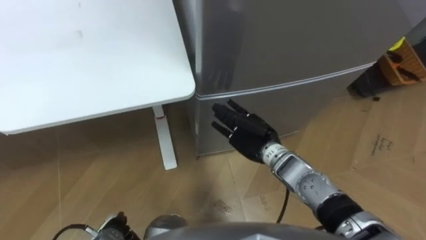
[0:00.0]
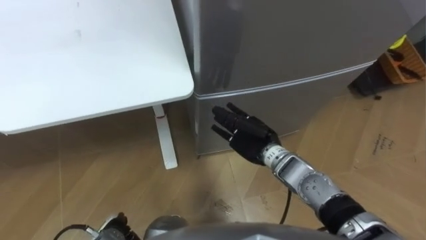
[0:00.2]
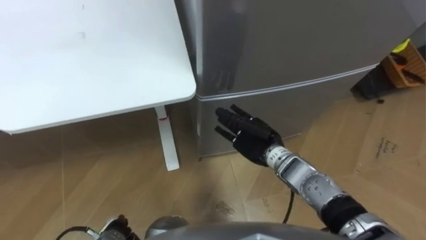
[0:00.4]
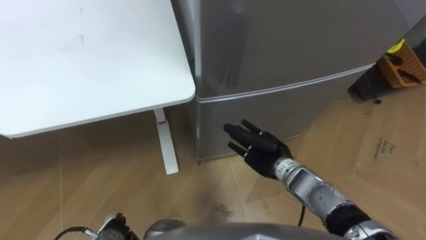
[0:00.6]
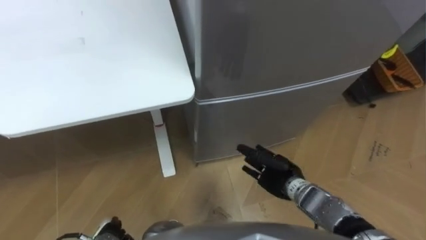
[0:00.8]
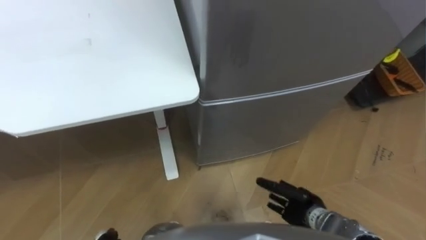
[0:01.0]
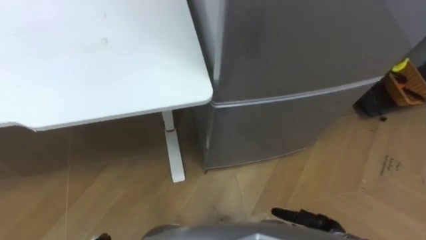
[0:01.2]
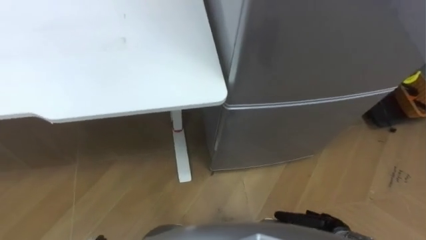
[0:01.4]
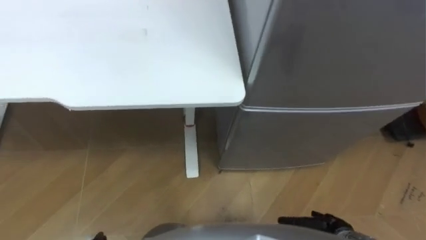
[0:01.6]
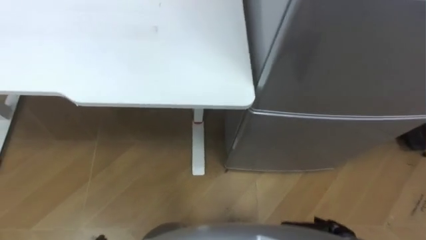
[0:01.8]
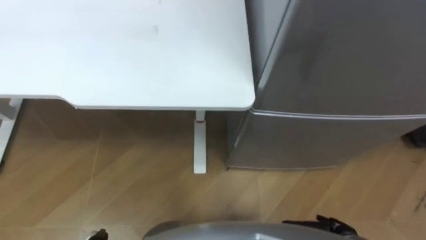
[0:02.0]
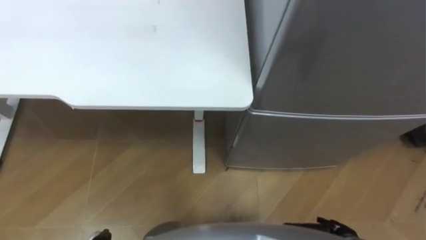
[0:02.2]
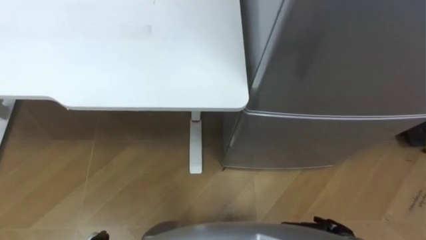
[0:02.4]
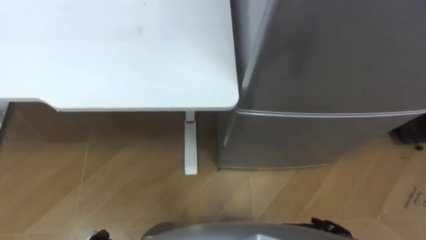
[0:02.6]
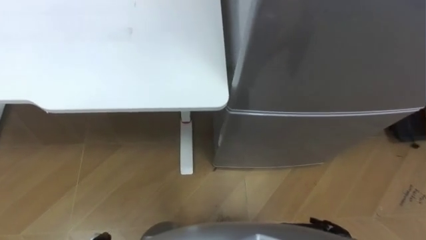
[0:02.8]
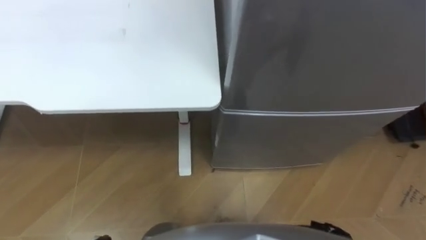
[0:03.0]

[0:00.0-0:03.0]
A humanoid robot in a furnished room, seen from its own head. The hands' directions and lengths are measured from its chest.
Task of the whole recording: Place the drink on the table on the bottom shelf of the refrigerator, then close the drawer and the refrigerator door.
0:00.0 to 0:01.6: The right hand shifts roughly 30 cm backward, to the right and downward.

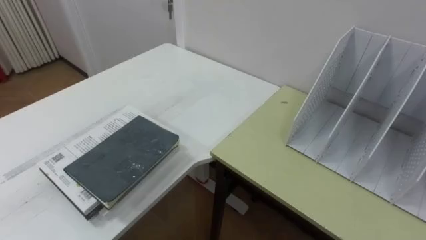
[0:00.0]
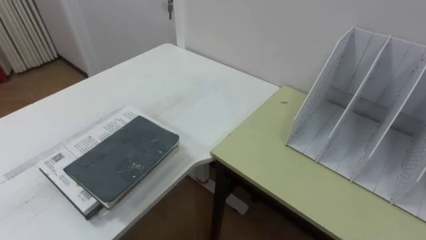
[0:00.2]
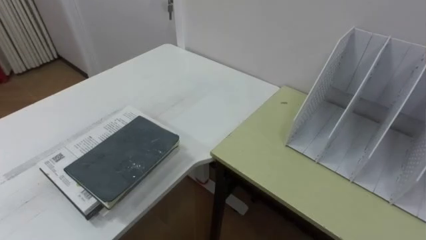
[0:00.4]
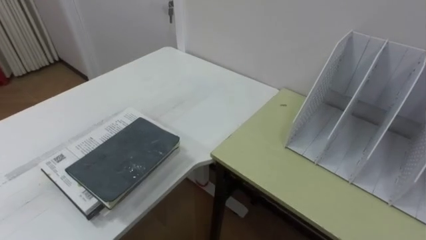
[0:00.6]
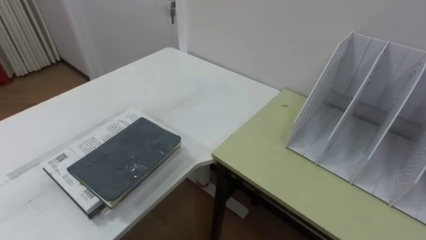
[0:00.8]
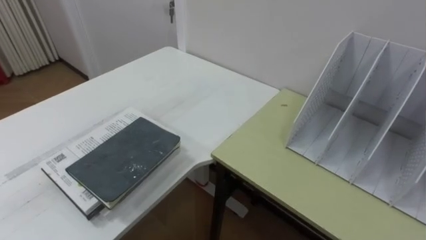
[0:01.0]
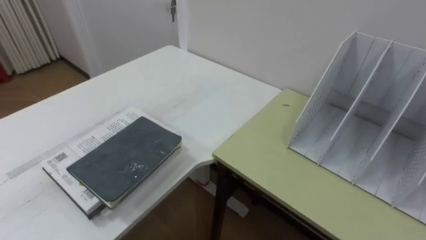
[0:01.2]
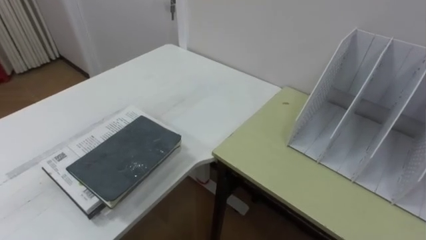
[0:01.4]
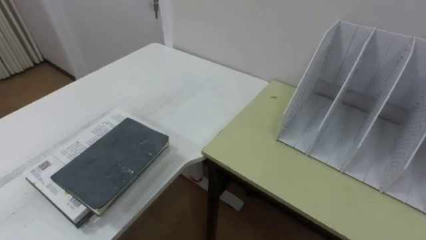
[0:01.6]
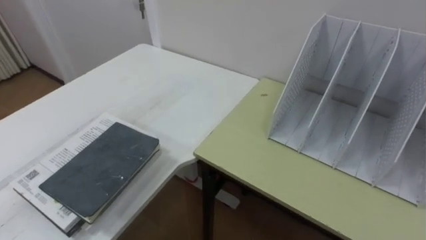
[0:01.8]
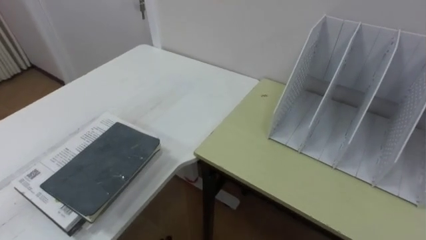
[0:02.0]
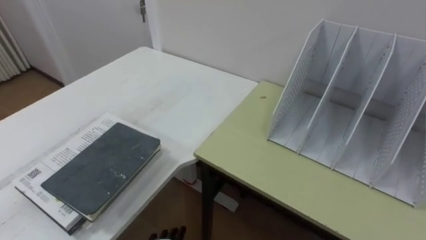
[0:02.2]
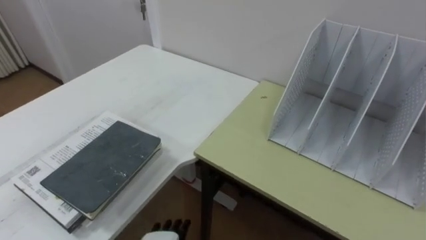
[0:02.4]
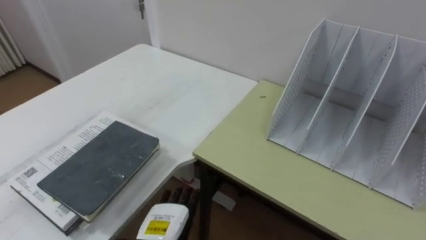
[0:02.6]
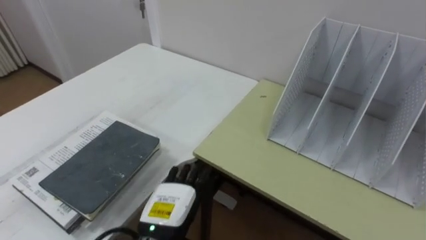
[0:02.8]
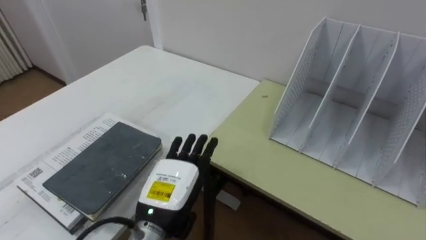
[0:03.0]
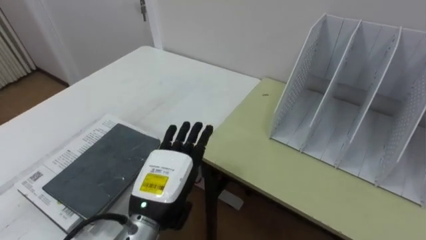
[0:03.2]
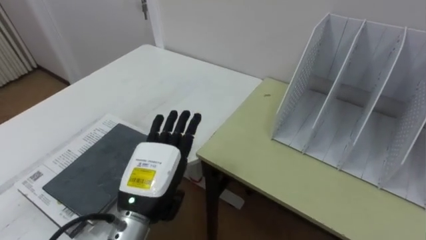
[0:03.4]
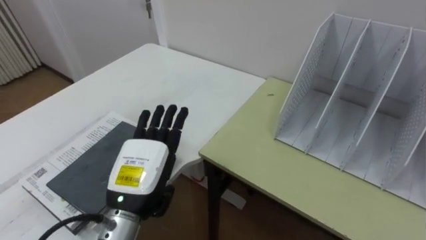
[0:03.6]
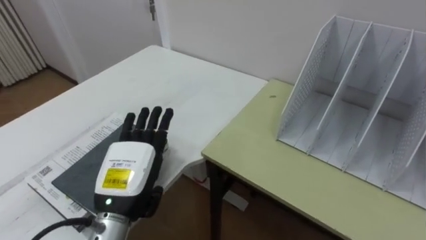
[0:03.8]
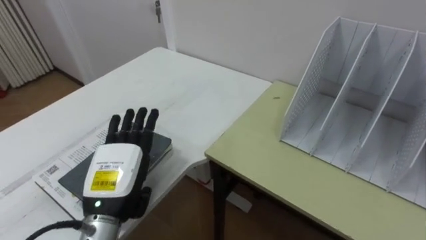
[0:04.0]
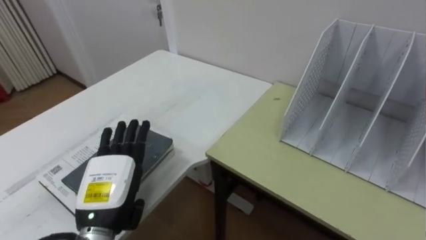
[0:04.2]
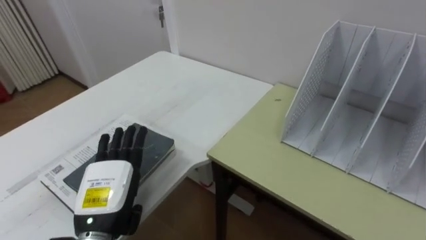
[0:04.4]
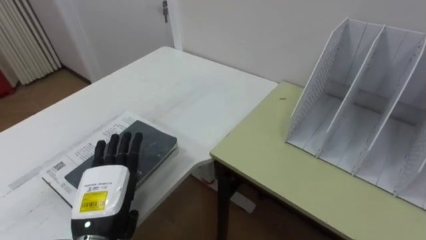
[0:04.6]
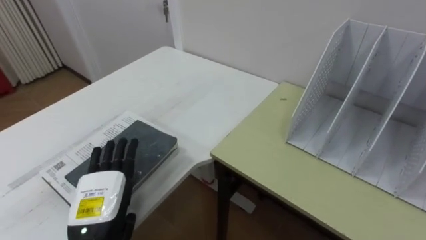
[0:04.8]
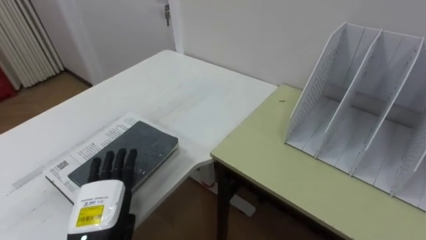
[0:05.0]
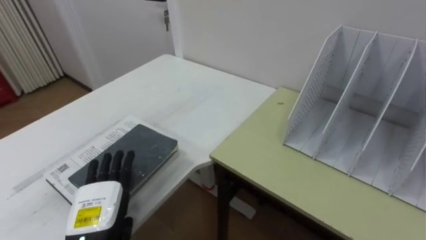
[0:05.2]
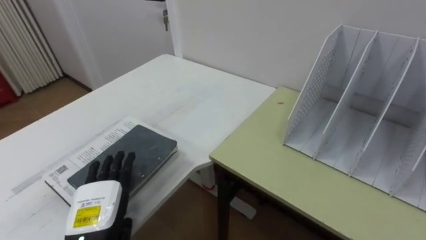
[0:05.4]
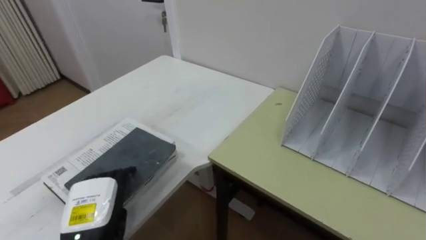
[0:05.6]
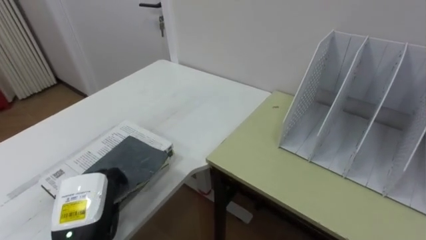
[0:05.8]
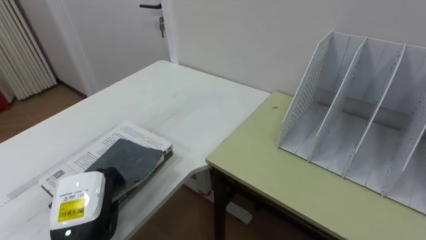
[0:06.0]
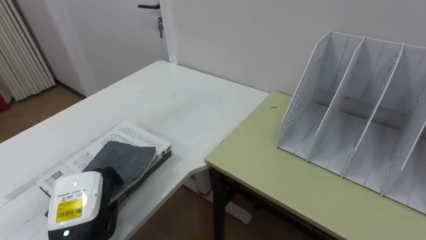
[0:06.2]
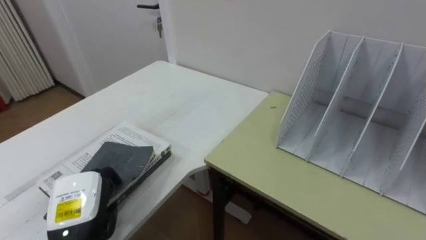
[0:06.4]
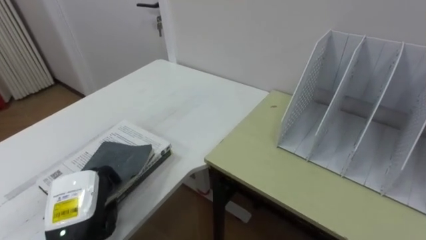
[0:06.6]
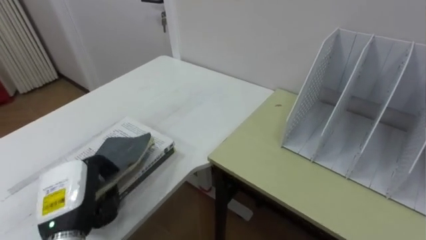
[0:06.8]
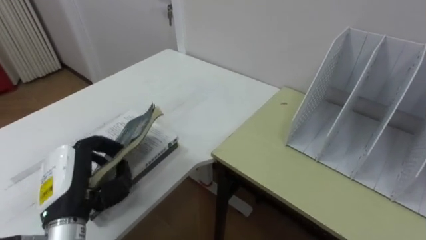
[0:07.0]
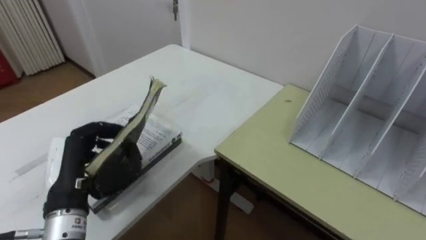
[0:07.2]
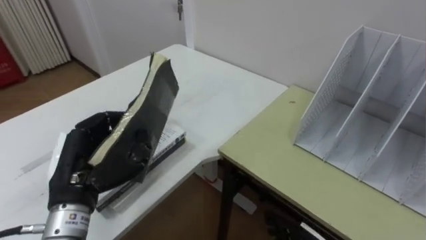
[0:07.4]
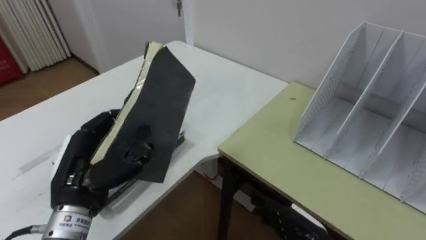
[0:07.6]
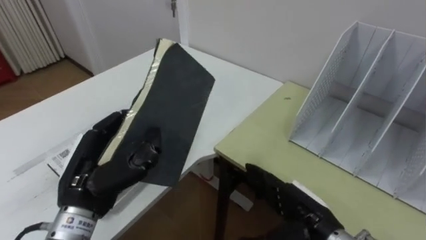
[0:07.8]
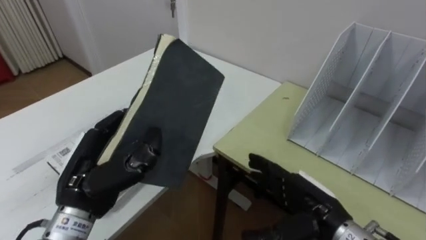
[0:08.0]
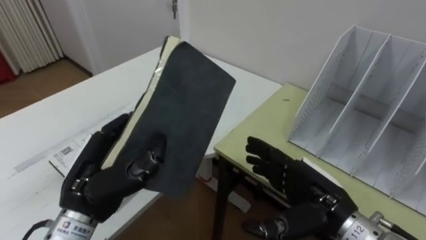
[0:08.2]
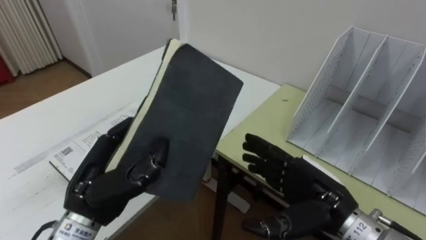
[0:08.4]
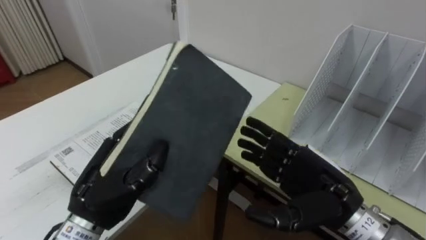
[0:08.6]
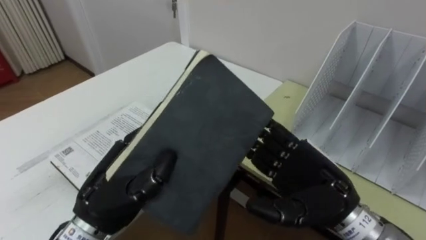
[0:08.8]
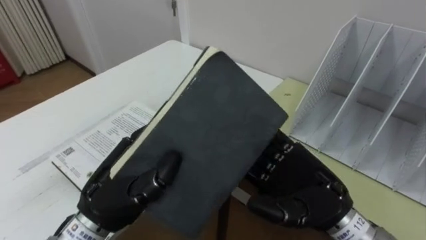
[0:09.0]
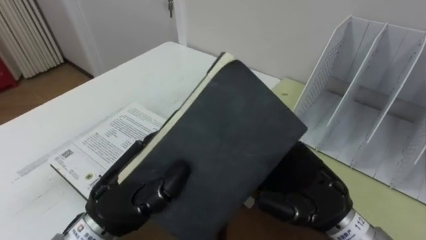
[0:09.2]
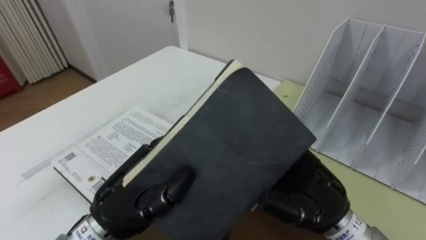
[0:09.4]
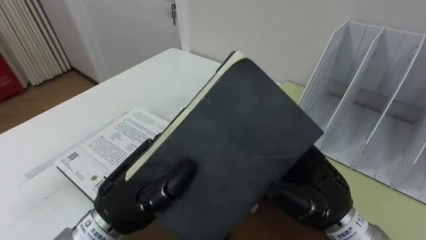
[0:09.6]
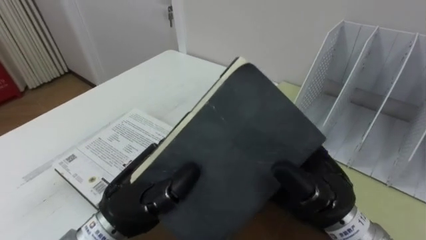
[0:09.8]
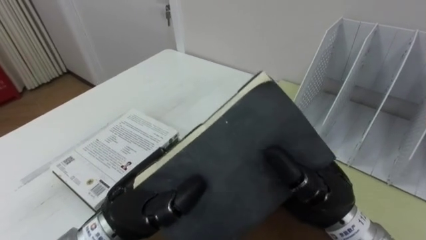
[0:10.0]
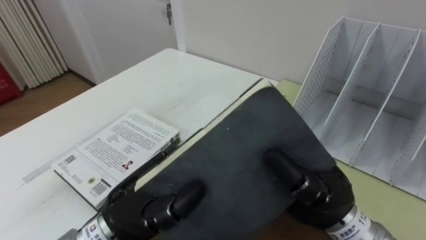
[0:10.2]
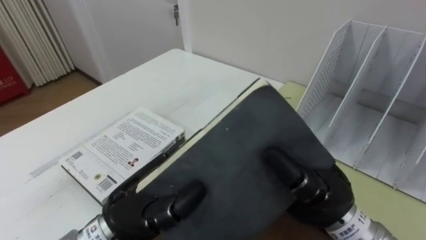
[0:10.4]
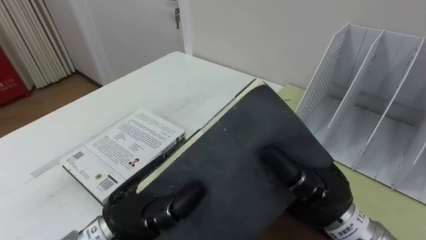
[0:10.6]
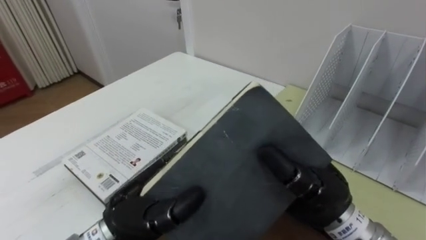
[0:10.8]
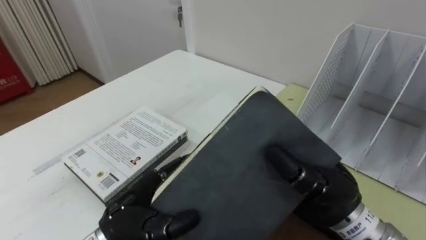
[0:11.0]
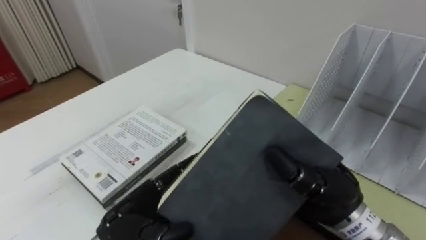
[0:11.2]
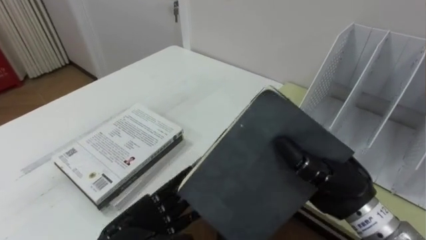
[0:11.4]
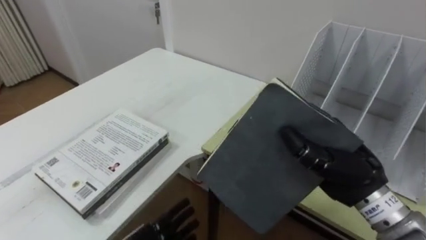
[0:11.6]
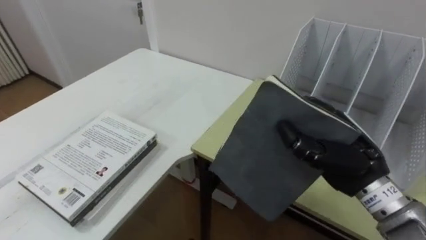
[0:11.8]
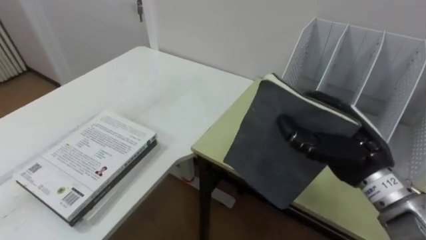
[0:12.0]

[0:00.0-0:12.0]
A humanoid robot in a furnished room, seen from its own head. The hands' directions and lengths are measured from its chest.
Task of the whole recording: Put the books on the table onto the bookshelf.
0:03.0 to 0:04.4: The left hand goes roughly 10 cm to the left.
0:04.4 to 0:06.0: The left hand ends up some 5 cm from where it was, and closes its fingers.
0:06.0 to 0:07.6: The left hand goes approximately 10 cm upward.
0:07.6 to 0:09.0: The left hand goes roughly 5 cm to the right; the right hand shifts about 15 cm upward.
0:09.0 to 0:10.4: The right hand closes up.
0:10.4 to 0:12.0: The right hand goes some 10 cm to the right and forward.

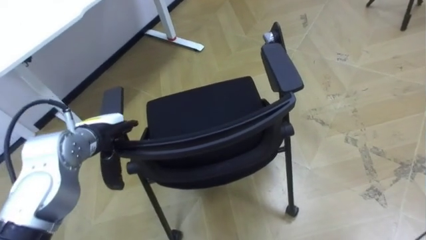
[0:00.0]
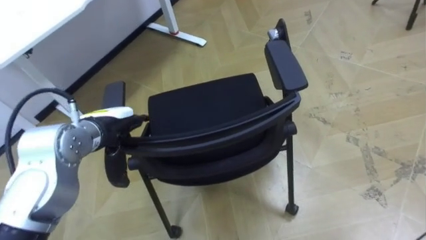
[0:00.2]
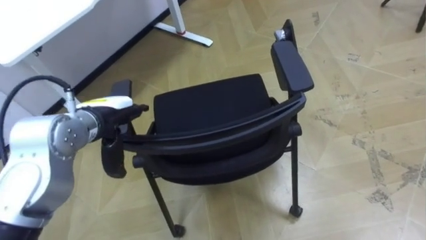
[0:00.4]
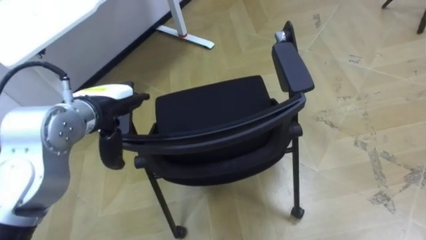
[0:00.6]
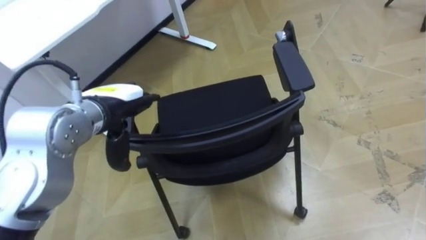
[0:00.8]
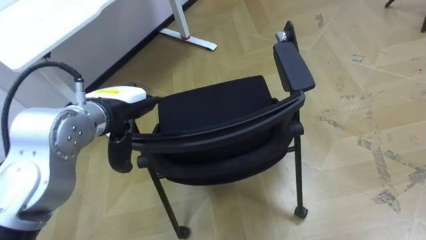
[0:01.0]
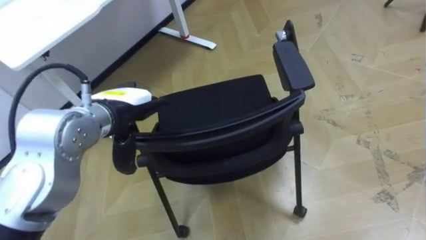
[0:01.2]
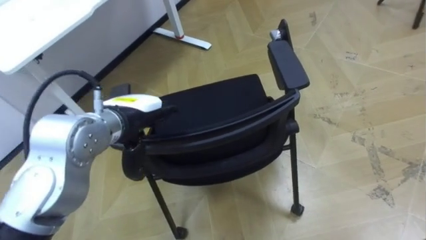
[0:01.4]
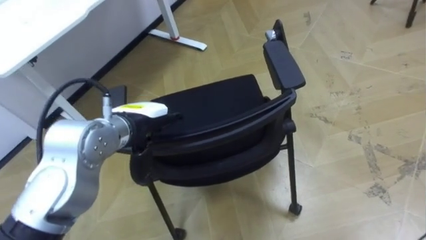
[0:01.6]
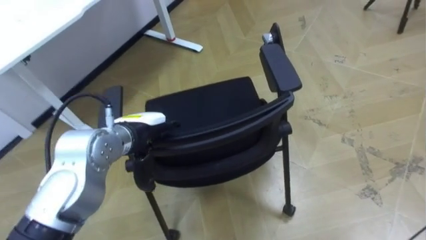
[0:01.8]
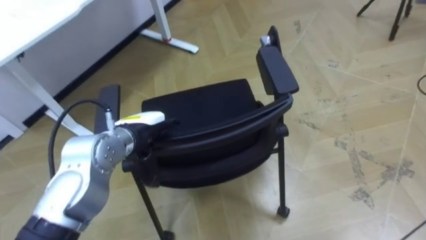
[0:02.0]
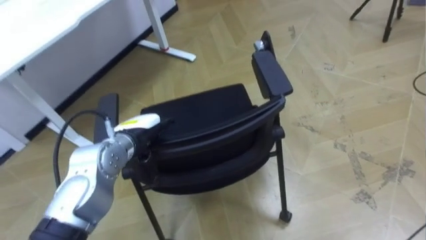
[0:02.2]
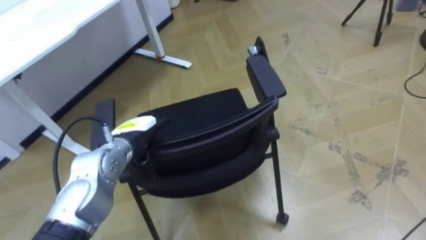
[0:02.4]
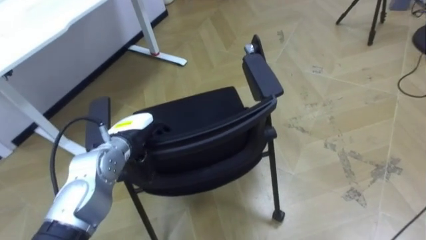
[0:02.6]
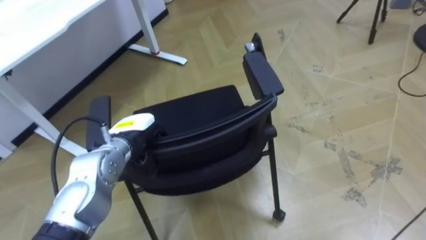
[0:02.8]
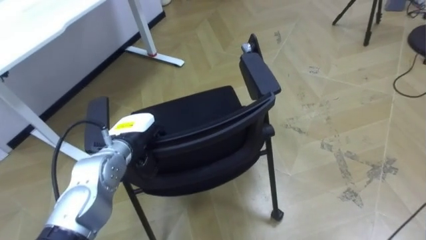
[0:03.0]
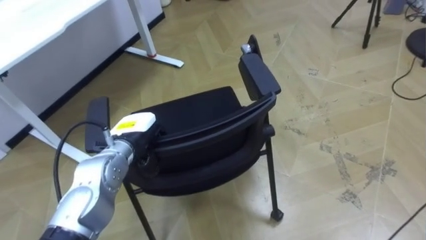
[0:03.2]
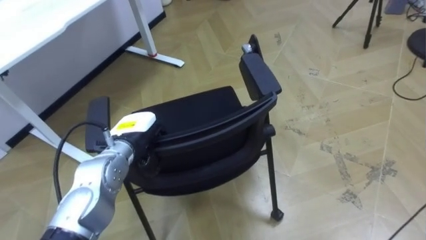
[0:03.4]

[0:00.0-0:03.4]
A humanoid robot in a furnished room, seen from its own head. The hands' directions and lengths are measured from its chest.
Task of the whole recording: Push the chair under the table.
0:00.0 to 0:01.6: The left hand moves to the right and upward, about 10 cm.
0:01.6 to 0:03.4: The left hand is displaced downward by roughly 10 cm, and closes up.
